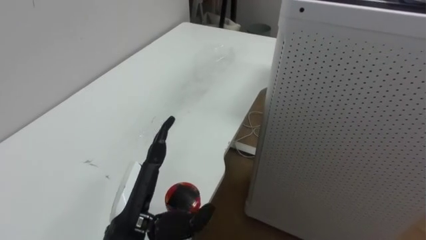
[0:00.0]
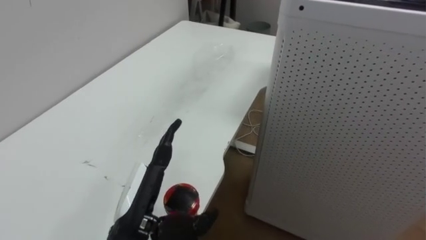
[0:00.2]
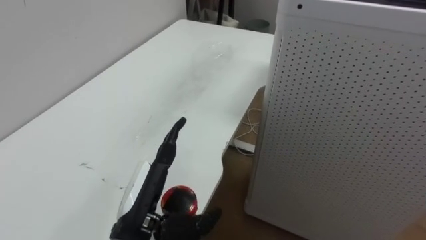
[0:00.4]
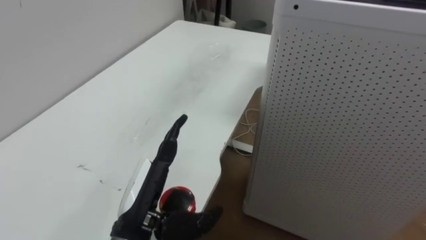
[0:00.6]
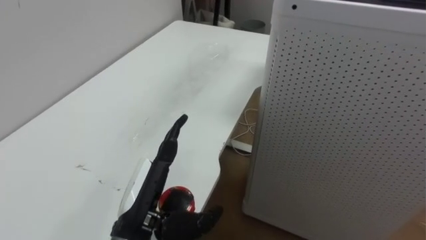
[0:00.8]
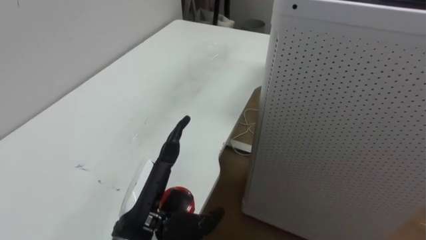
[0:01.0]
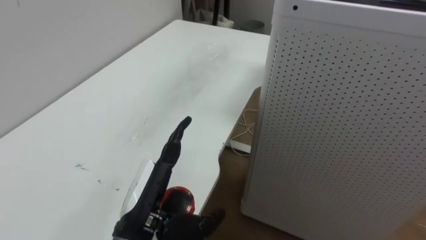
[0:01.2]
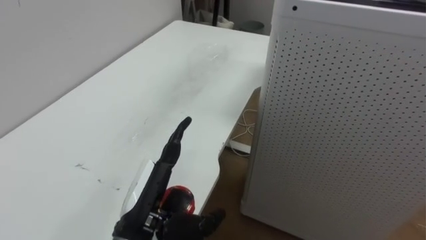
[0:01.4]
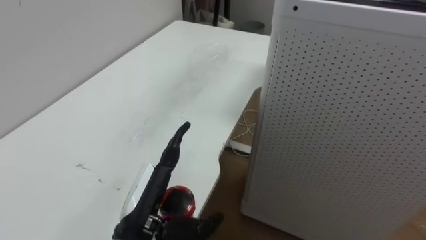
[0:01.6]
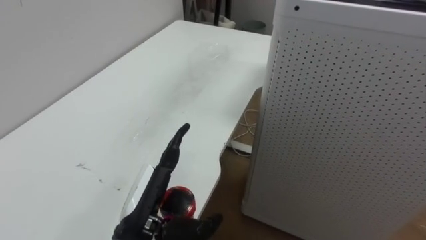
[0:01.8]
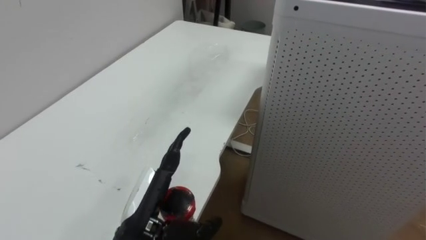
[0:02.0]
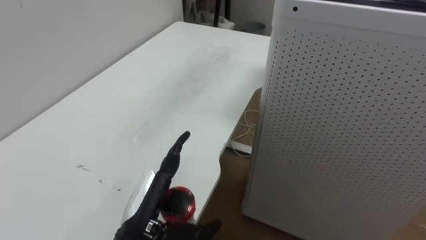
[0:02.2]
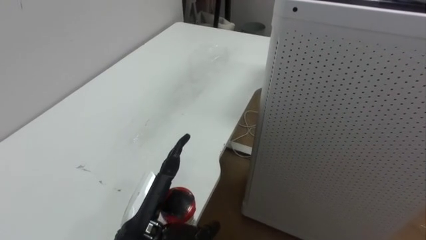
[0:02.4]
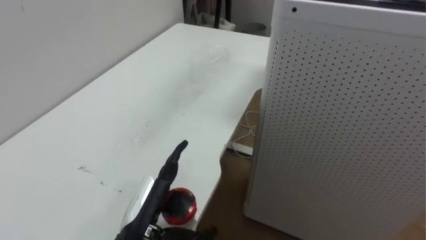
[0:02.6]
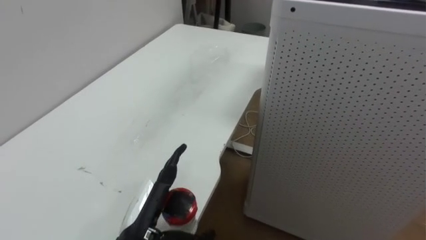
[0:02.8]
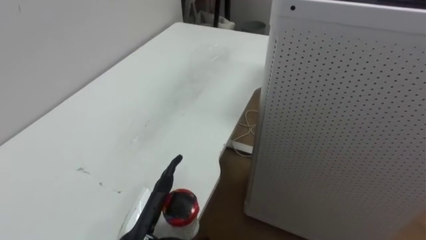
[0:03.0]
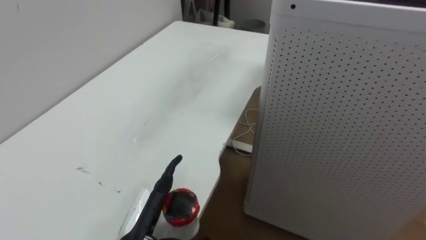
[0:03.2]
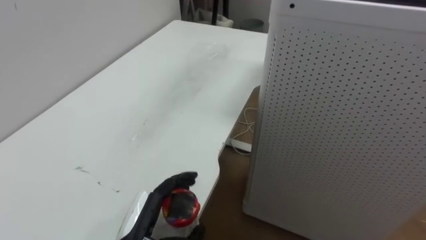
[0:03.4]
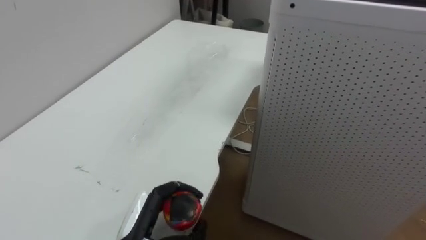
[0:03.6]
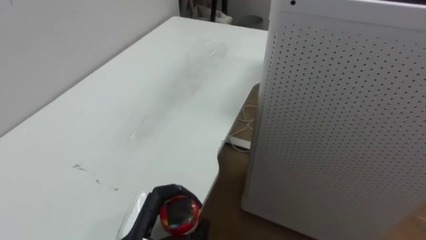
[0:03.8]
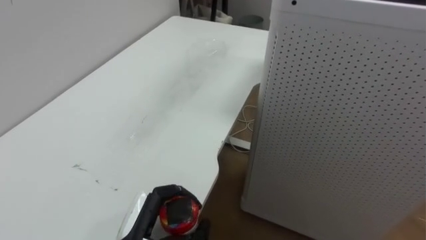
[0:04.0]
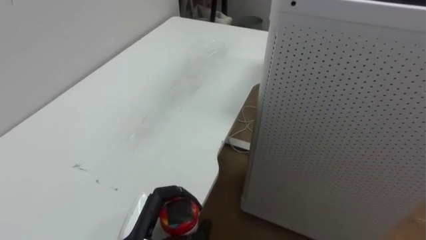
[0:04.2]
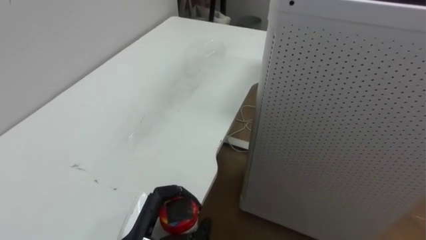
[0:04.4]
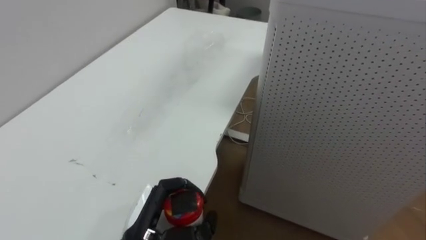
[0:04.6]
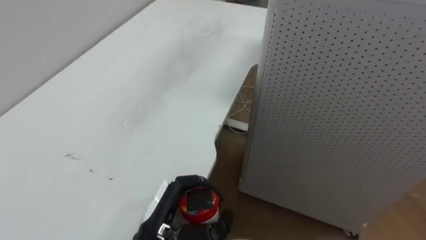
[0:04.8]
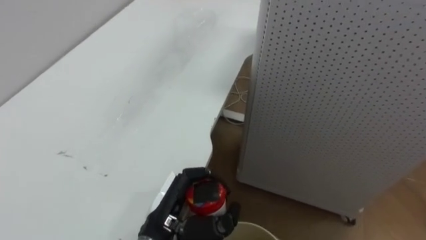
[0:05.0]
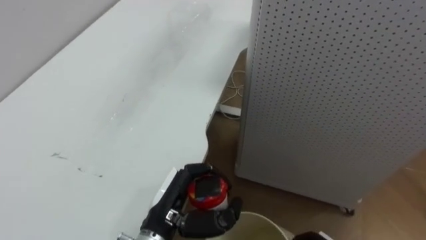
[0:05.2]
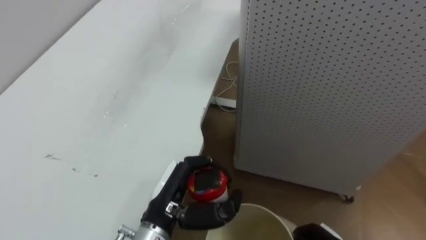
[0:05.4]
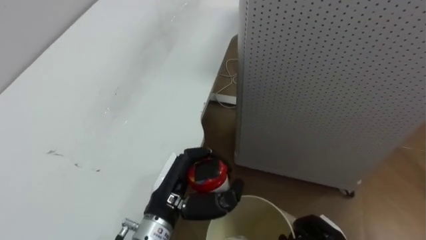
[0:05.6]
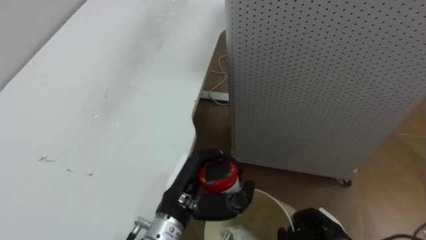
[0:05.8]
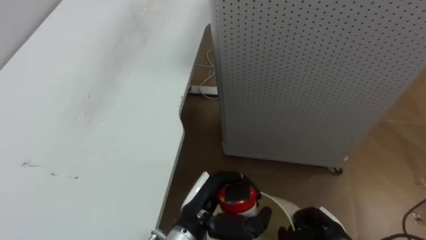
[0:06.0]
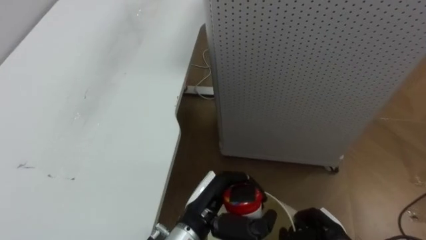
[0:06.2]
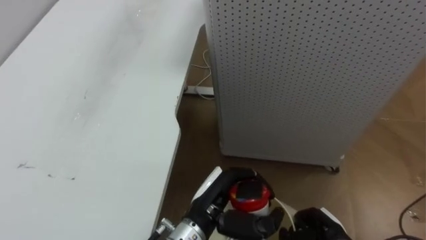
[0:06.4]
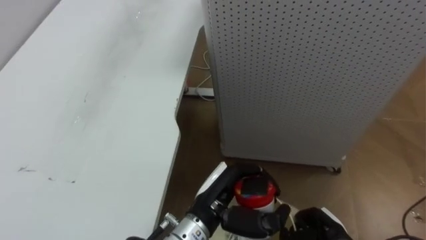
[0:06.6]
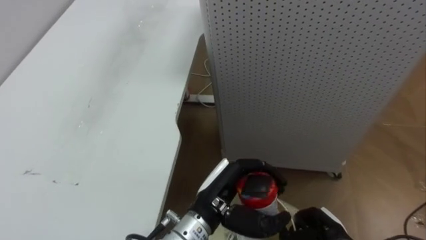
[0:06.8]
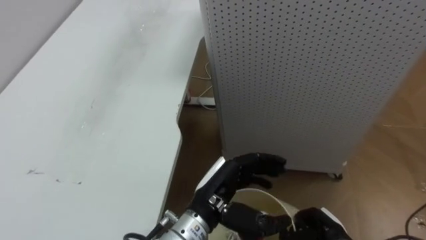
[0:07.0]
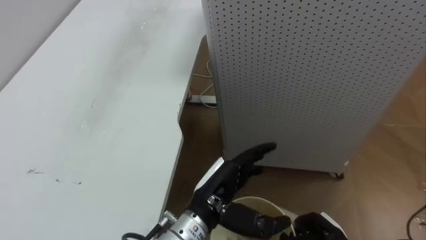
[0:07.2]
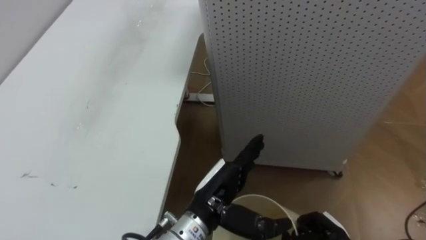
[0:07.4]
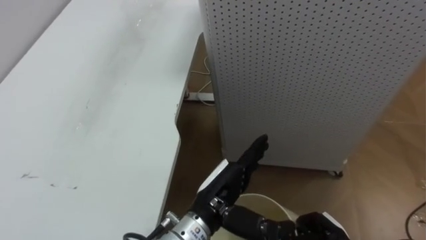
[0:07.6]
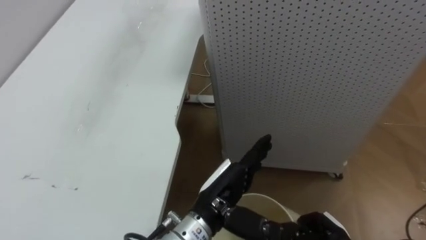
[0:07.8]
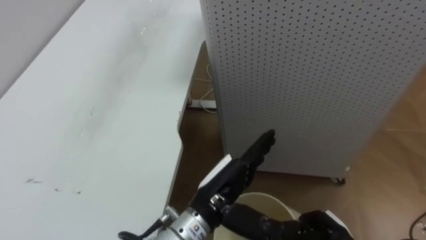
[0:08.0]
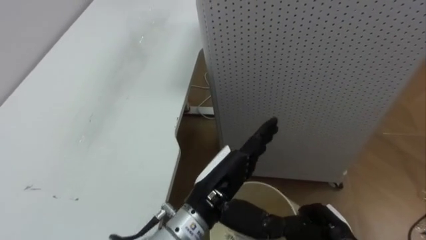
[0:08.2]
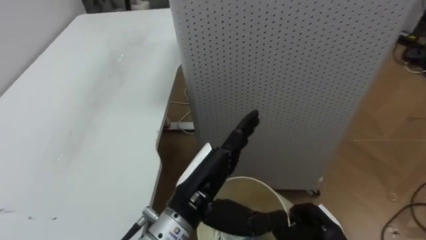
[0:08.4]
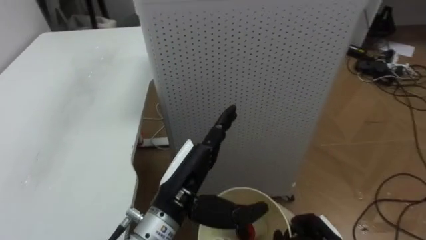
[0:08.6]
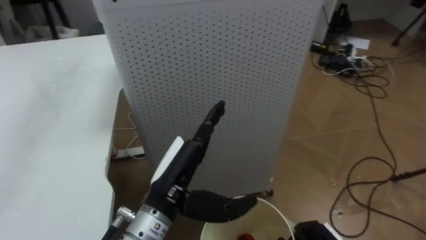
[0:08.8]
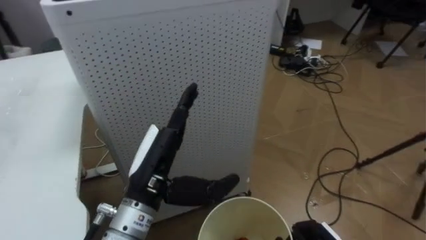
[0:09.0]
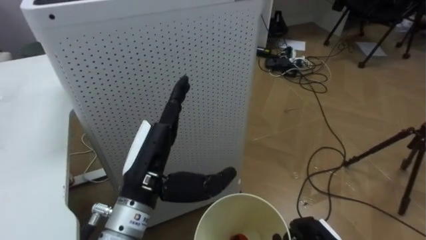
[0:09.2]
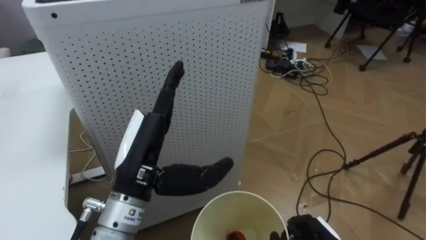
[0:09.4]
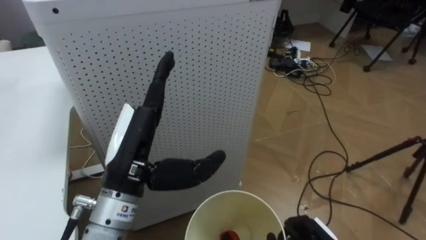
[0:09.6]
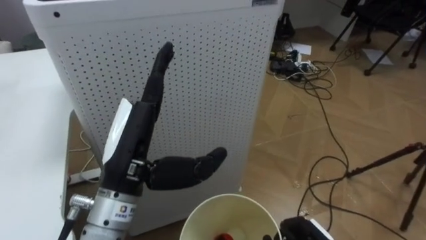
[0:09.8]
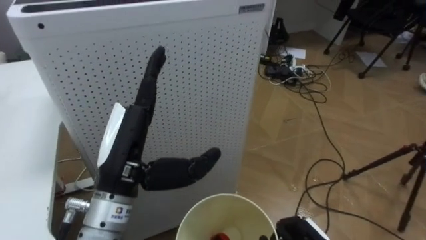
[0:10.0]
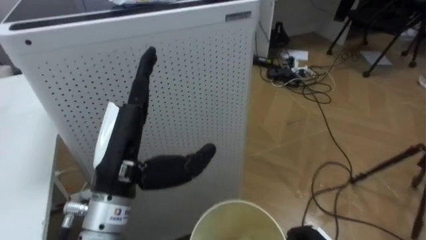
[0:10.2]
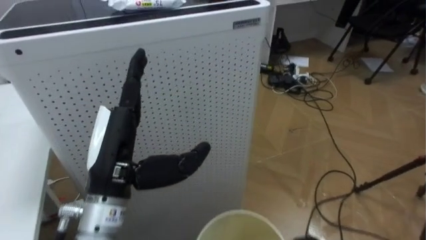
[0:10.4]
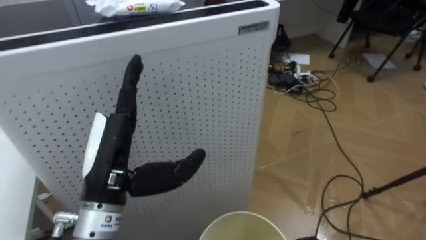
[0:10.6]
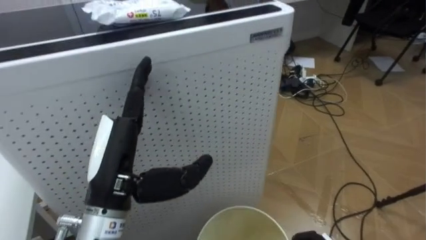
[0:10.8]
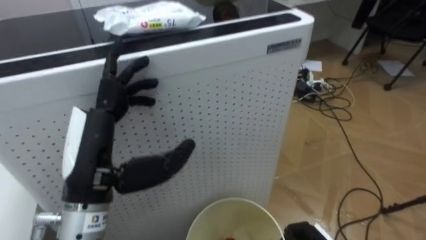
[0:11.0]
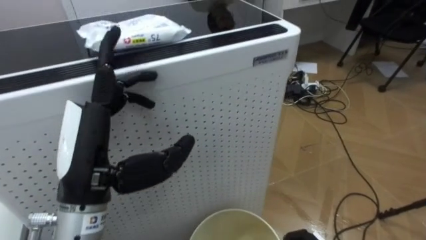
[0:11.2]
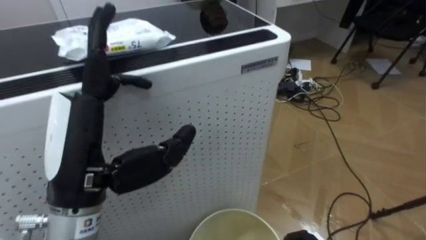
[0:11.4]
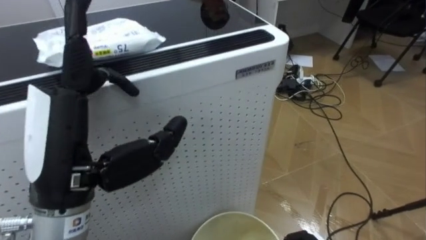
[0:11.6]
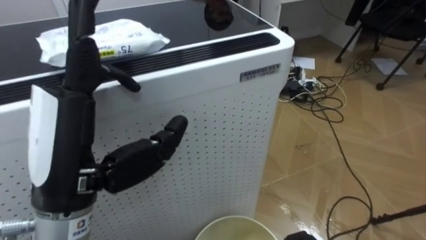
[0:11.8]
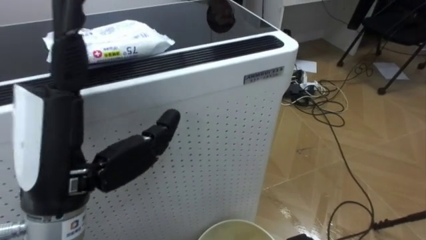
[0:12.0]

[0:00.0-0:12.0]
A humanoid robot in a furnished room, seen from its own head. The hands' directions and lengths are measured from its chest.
Task of the whole recording: Pick up the light blue package, the candy box, and the dark blue package separately, and put them into the trash can held in your right hand.
0:01.6 to 0:03.0: The left hand moves downward, about 5 cm.
0:03.0 to 0:04.4: The left hand closes.
0:04.4 to 0:06.0: The left hand travels to the right by approximately 10 cm.
0:06.0 to 0:07.6: The left hand opens.
0:07.6 to 0:09.0: The robot faces about 35 degrees further to its right. The left hand travels to the left and upward by roughly 15 cm.
0:09.0 to 0:10.4: The left hand changes place by approximately 5 cm.
0:10.4 to 0:12.0: The left hand is displaced upward and backward by approximately 10 cm.

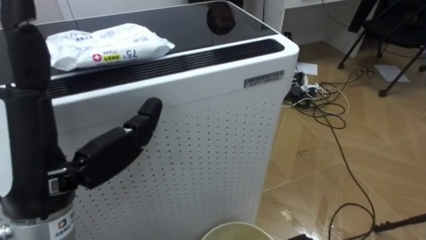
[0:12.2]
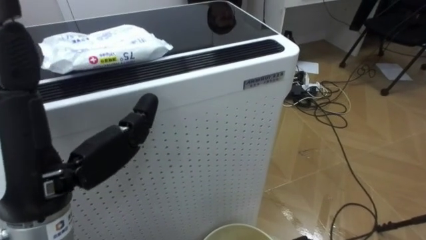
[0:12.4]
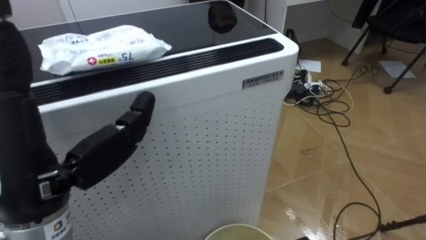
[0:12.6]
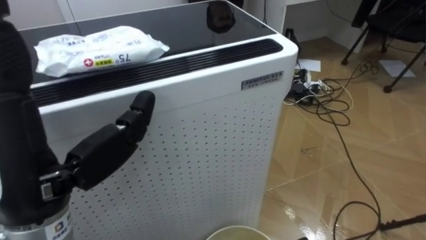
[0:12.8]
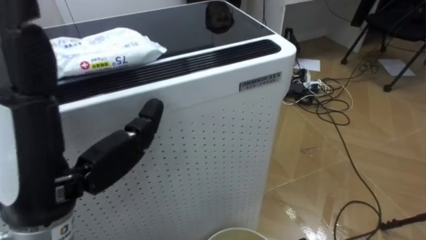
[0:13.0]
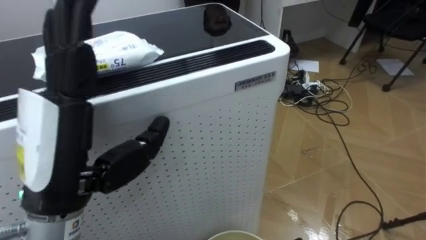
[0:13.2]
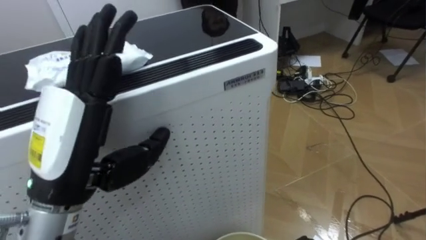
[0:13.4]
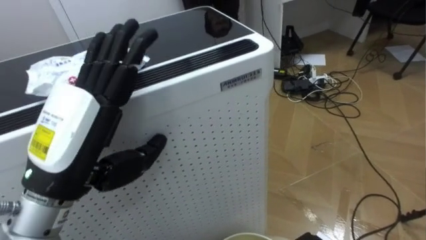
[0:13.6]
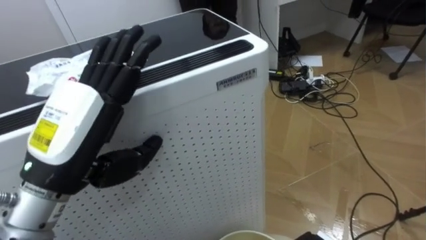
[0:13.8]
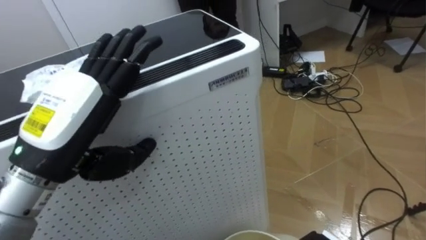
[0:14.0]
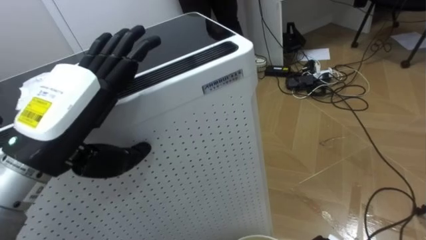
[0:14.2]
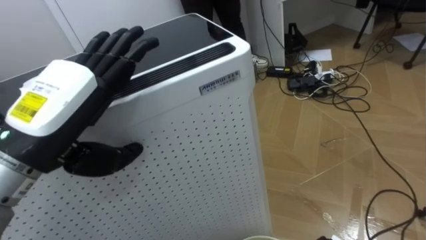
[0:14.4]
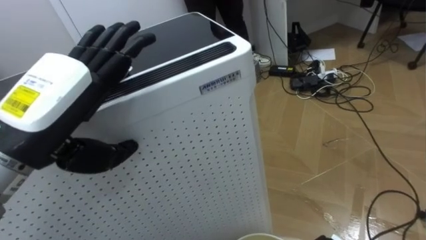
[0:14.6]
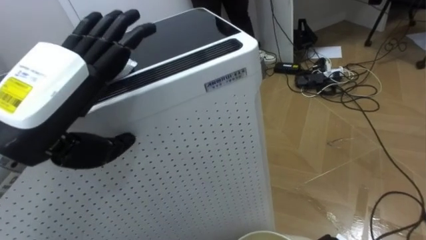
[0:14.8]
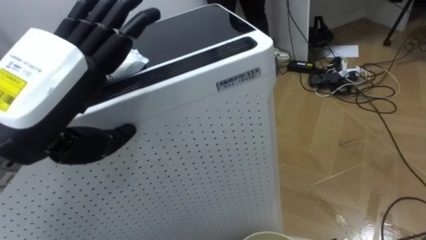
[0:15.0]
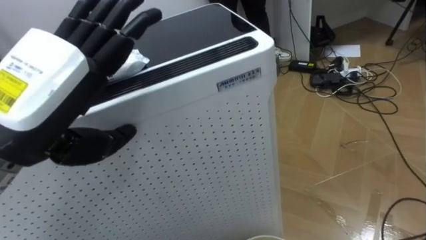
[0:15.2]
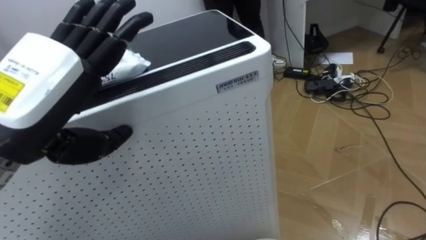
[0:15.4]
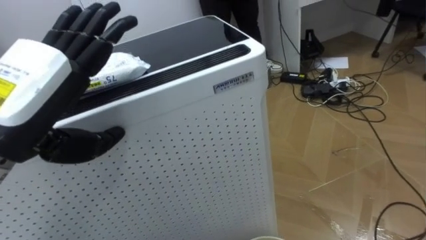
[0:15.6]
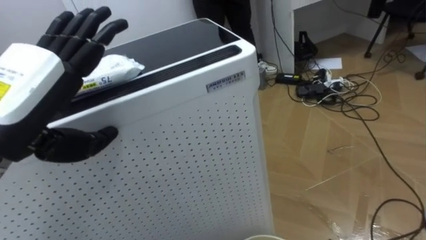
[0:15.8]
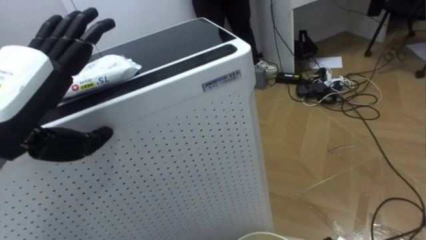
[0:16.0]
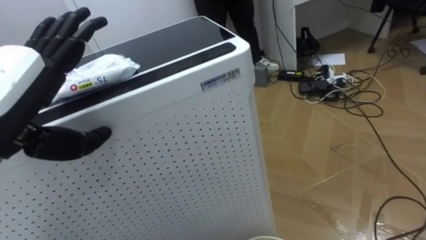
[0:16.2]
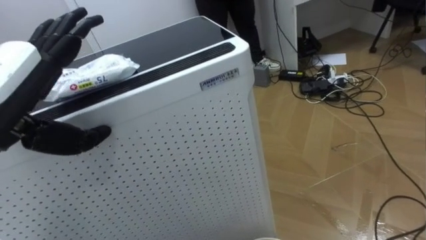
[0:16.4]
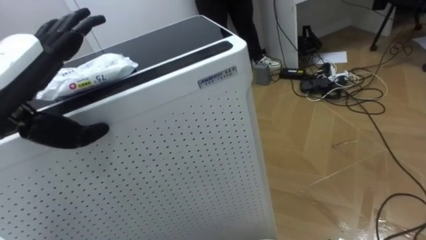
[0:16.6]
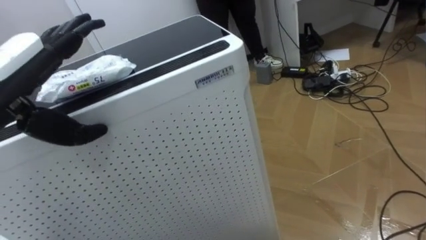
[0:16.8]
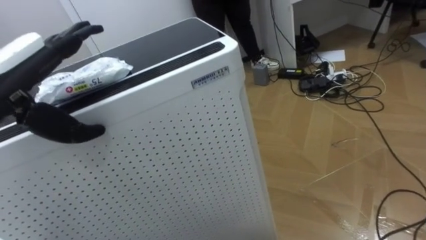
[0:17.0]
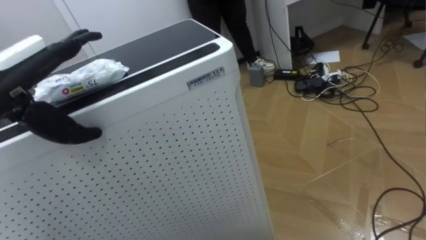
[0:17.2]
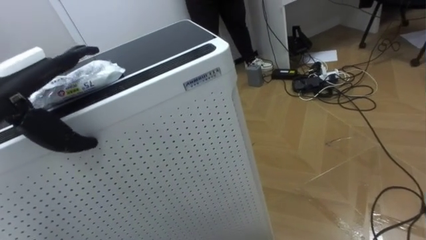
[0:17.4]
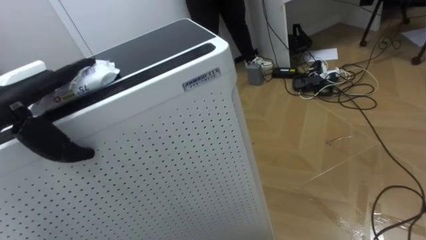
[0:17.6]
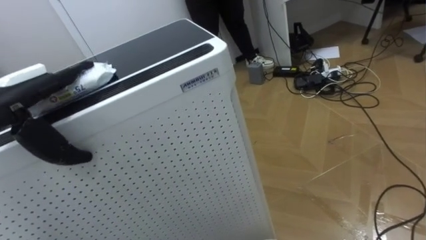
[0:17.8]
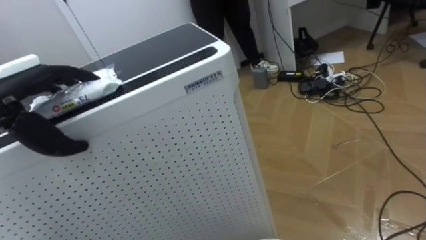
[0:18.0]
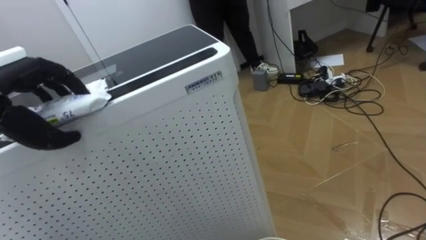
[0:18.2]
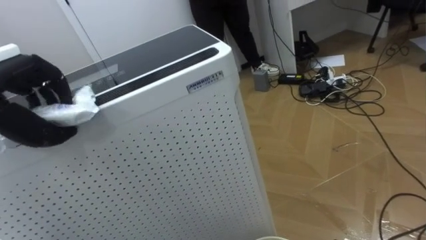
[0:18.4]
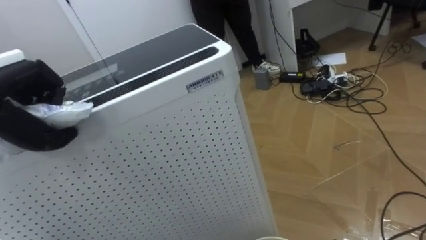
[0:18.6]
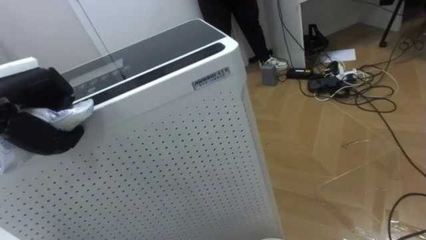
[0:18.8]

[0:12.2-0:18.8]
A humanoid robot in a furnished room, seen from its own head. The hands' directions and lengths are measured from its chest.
Task of the whole recording: Pick up the light blue package, the candy box, and the dark blue package separately, and put them into the trash can held in your right hand.
0:12.2 to 0:13.8: The left hand changes place by about 5 cm.
0:13.8 to 0:15.4: The left hand ends up about 5 cm from where it was.
0:15.4 to 0:17.2: The left hand heads forward and to the left, covering approximately 10 cm.
